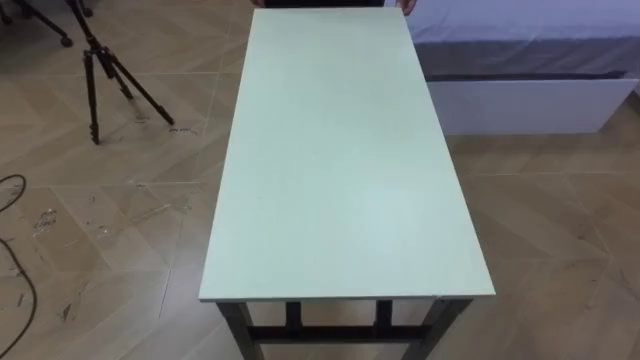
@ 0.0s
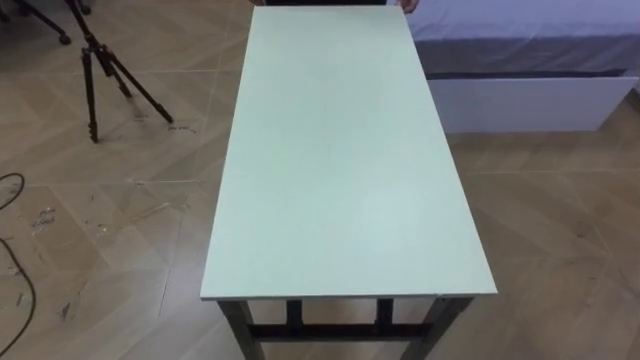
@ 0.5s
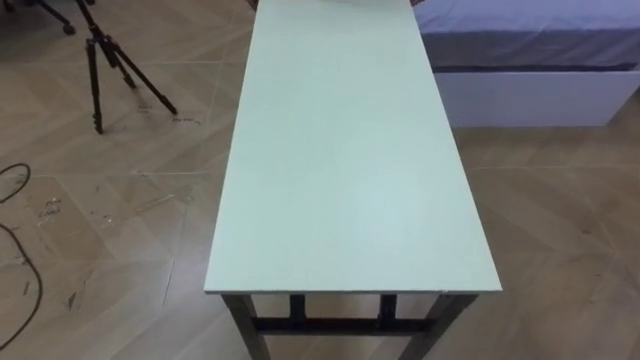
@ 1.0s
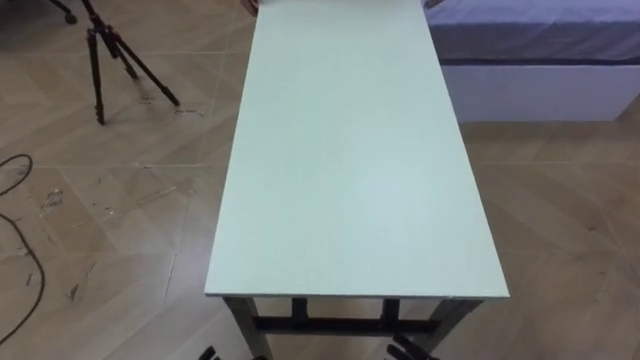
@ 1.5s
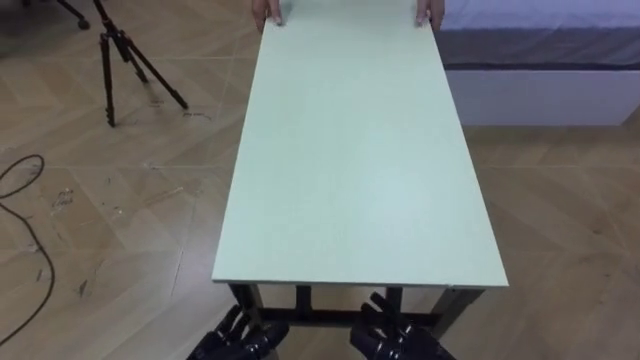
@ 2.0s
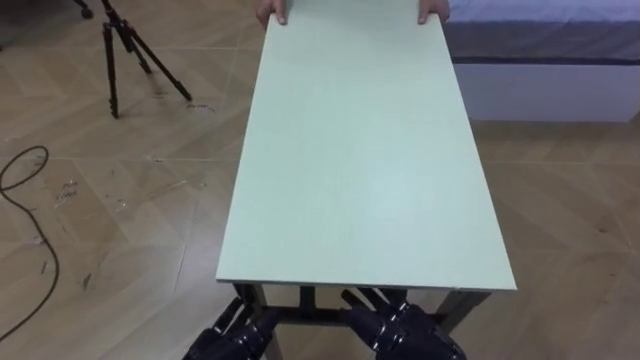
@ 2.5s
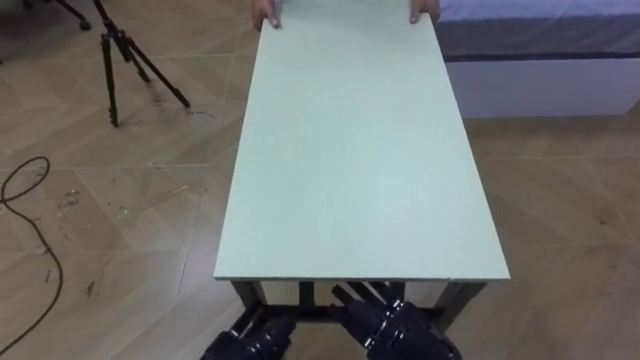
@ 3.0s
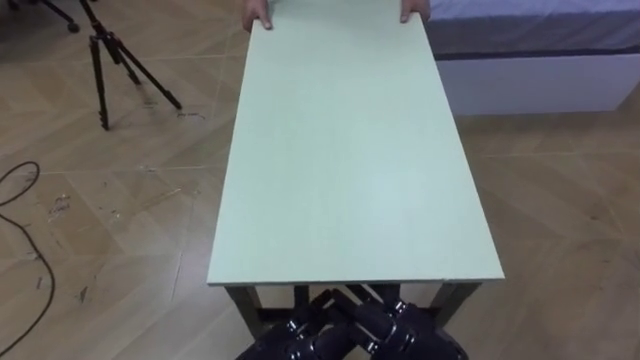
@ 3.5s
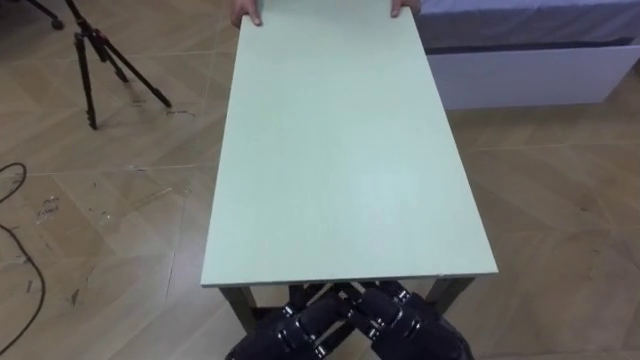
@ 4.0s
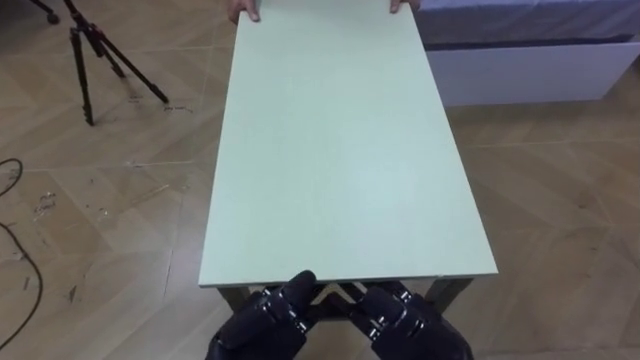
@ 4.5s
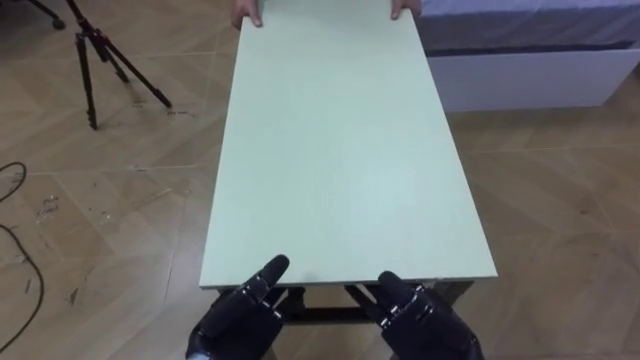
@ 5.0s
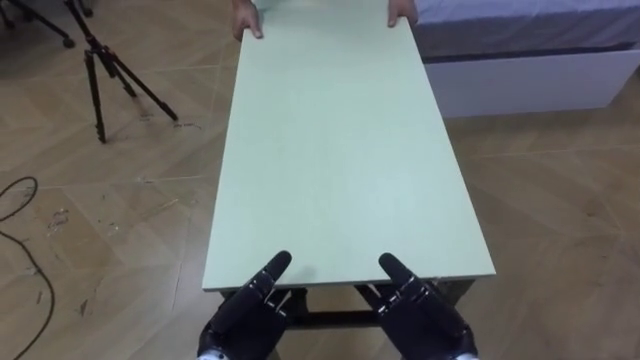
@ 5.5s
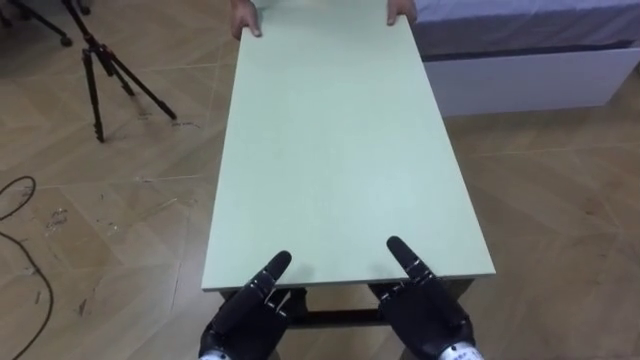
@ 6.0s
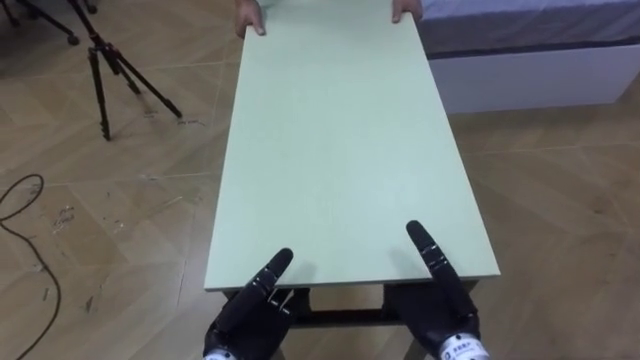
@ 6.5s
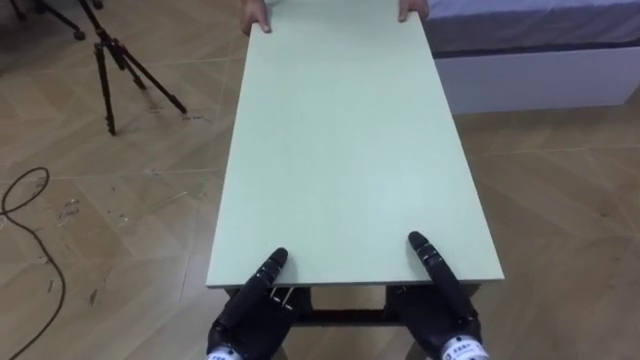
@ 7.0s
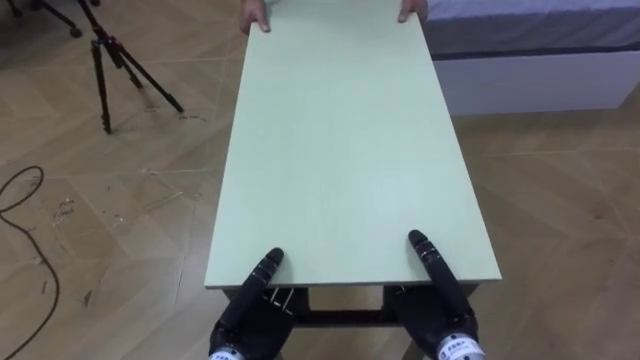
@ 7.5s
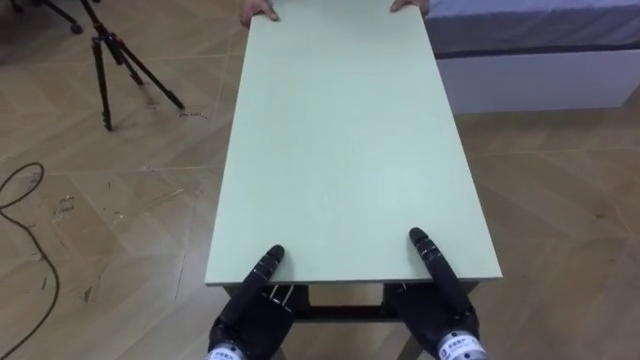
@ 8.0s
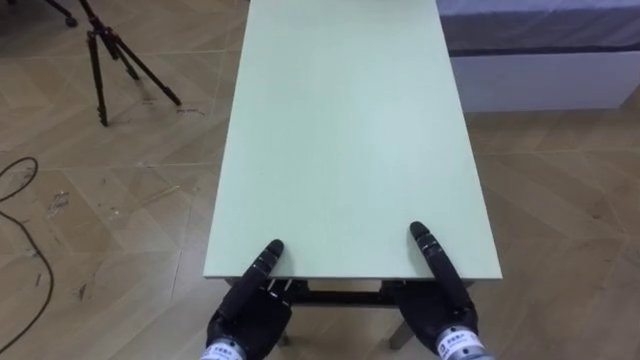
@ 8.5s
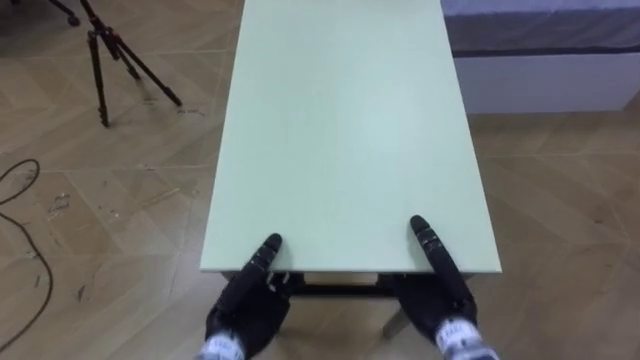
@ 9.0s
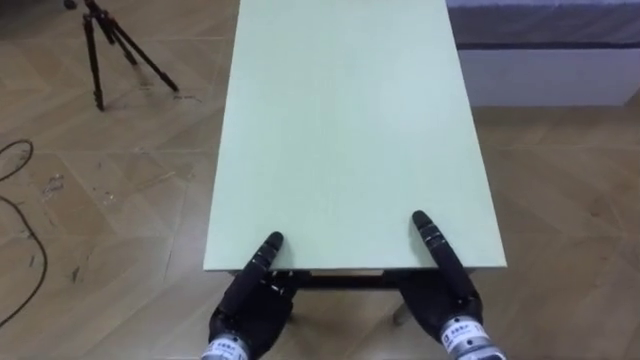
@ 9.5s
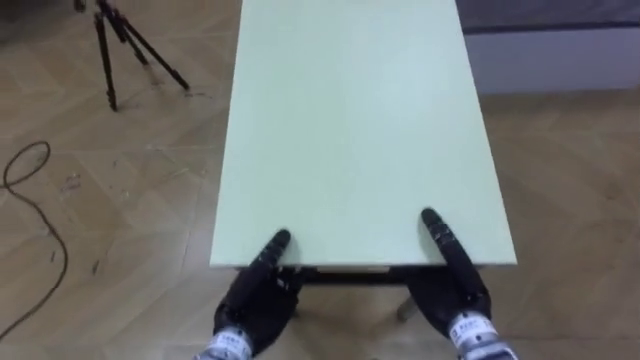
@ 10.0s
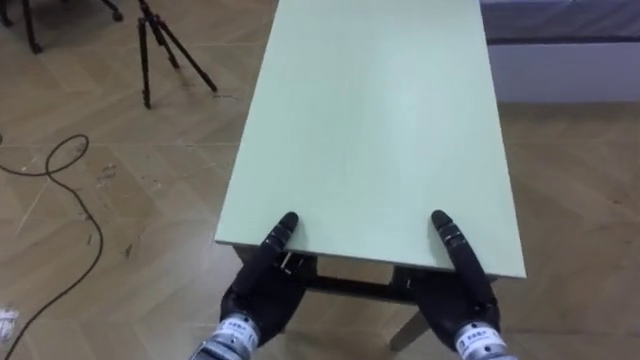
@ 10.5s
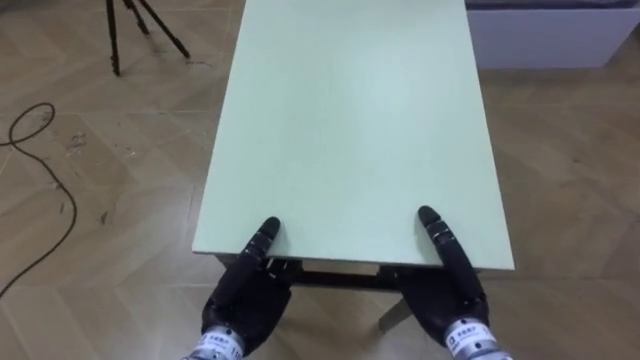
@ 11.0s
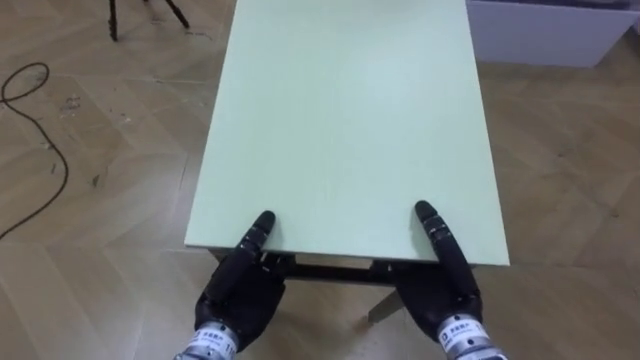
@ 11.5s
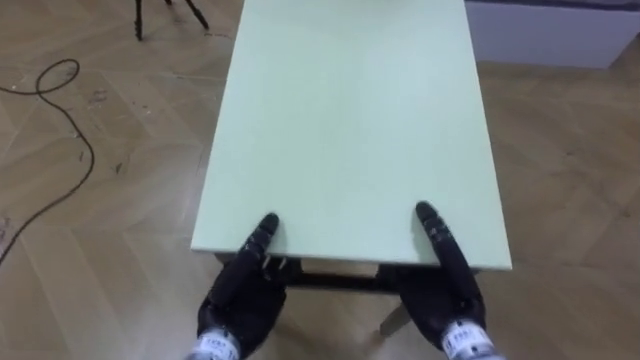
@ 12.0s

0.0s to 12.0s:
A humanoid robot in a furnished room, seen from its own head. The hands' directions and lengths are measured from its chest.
Task of the whole recording: Move the table to the back left with someone.
4.0s to 6.0s: The left hand ends up roughly 5 cm from where it was.
6.0s to 8.0s: The left hand closes up. The right hand closes its fingers.

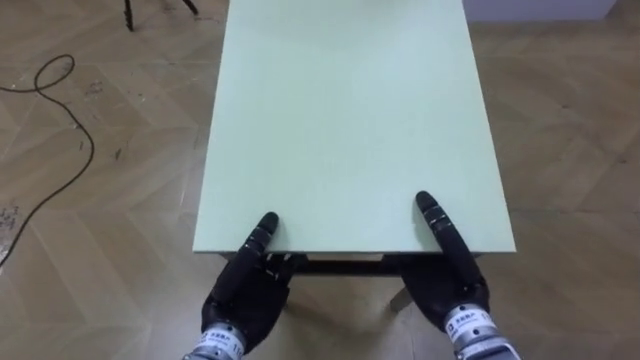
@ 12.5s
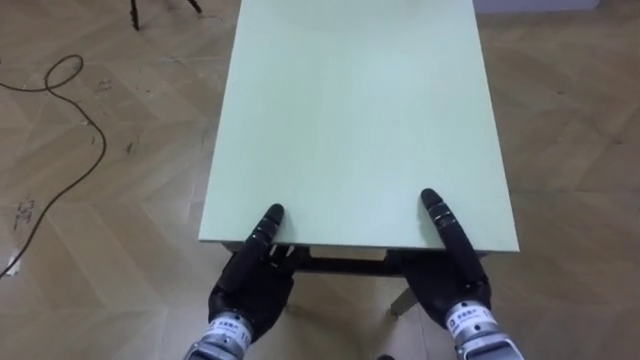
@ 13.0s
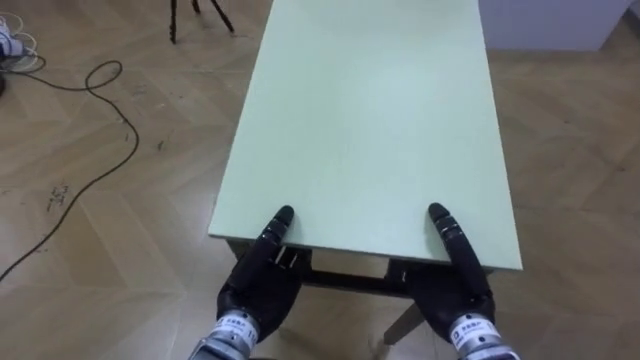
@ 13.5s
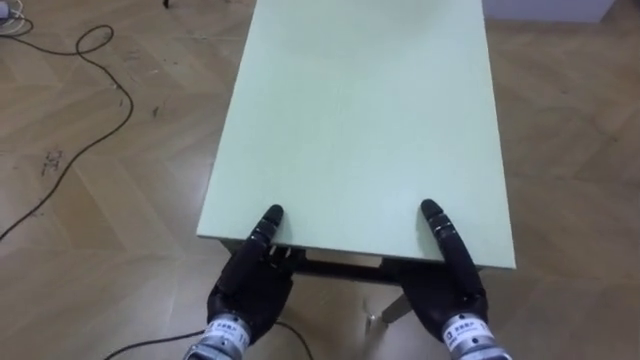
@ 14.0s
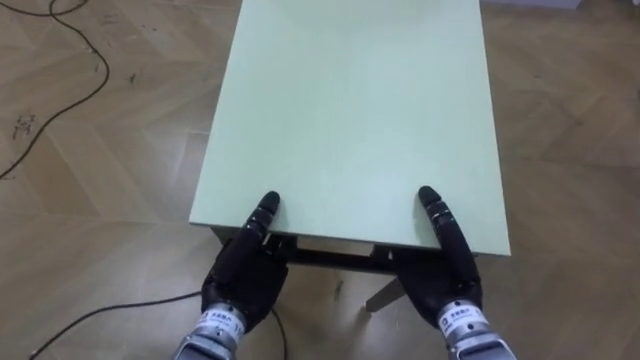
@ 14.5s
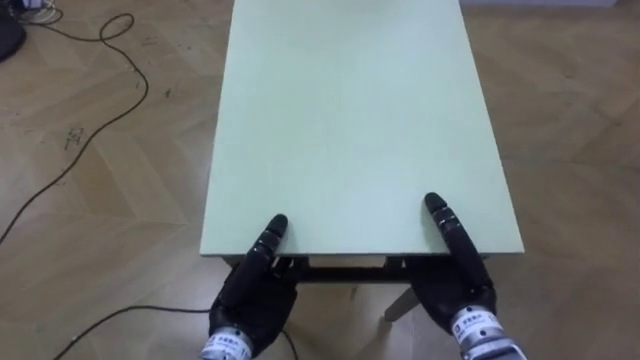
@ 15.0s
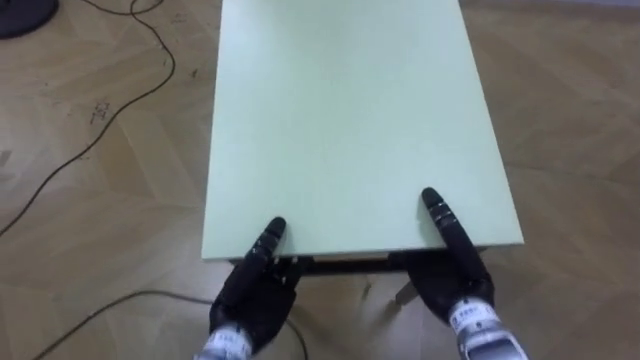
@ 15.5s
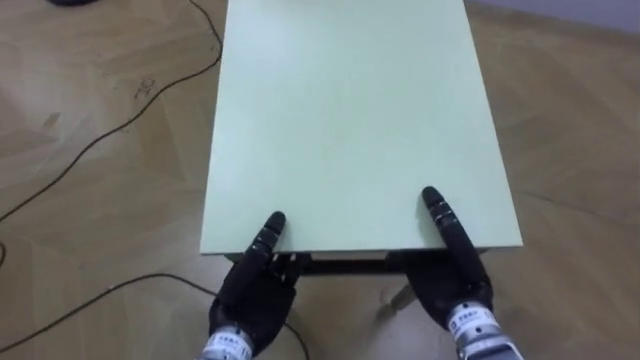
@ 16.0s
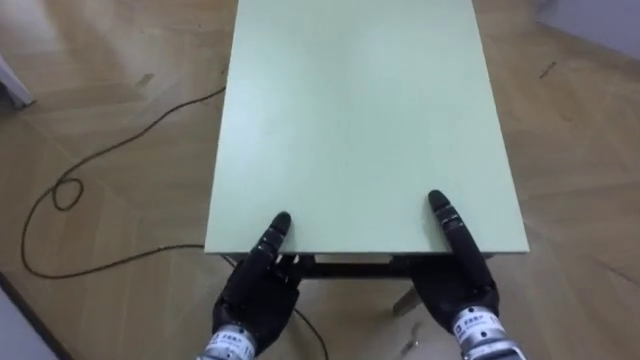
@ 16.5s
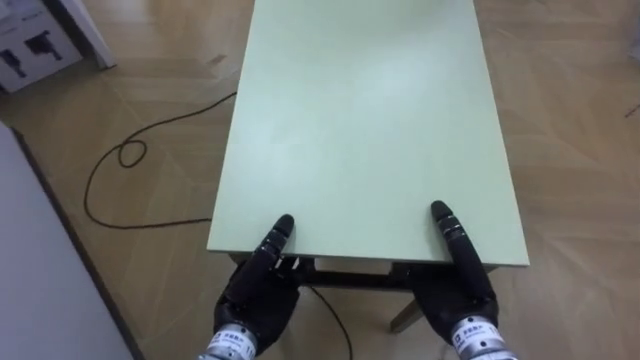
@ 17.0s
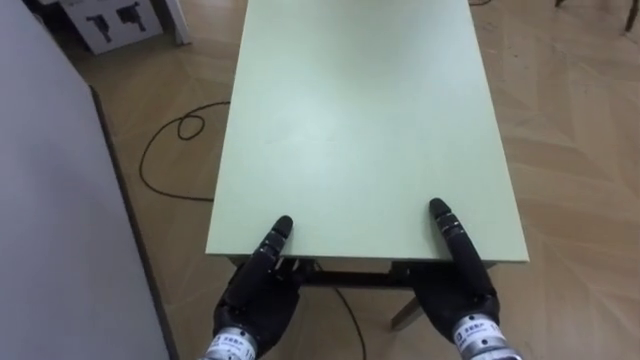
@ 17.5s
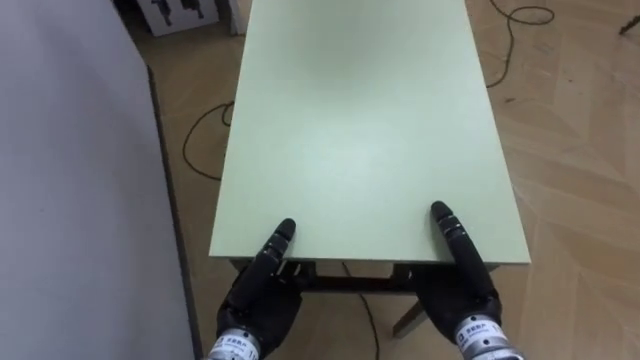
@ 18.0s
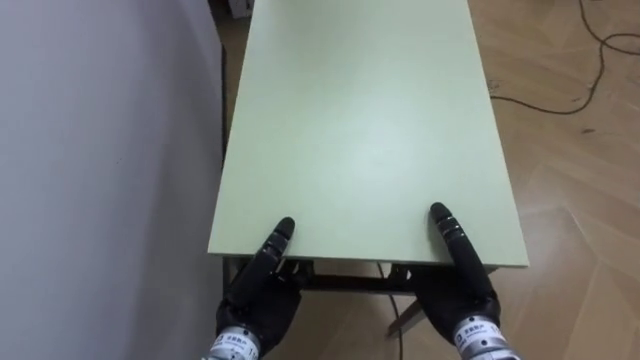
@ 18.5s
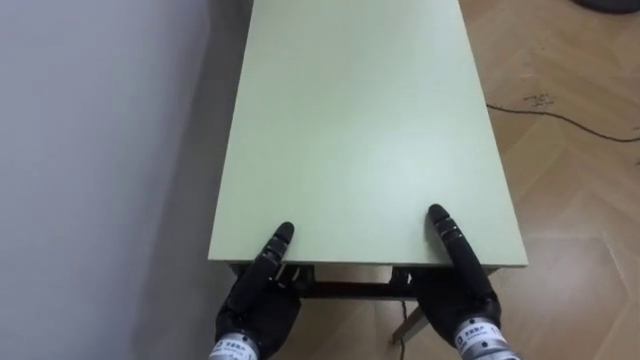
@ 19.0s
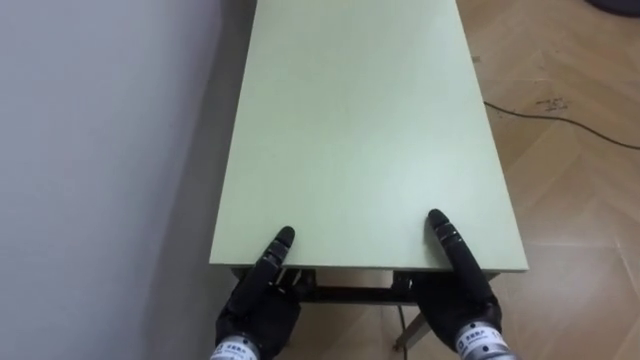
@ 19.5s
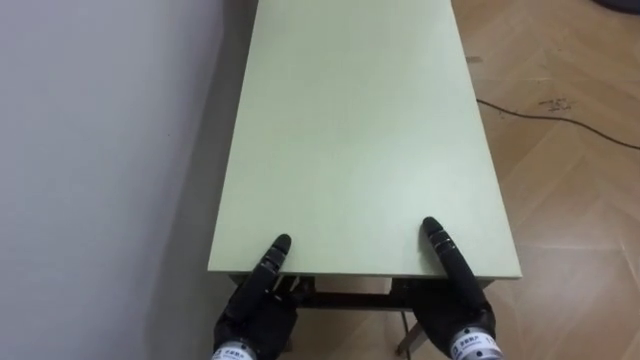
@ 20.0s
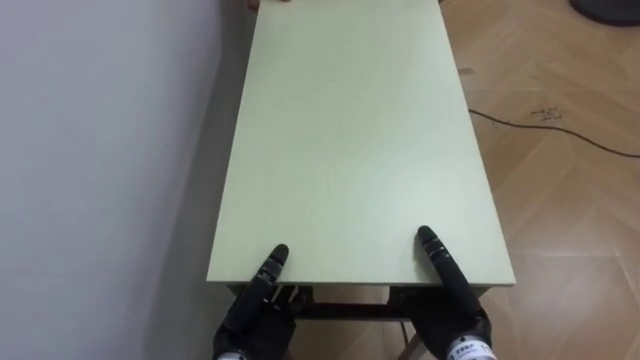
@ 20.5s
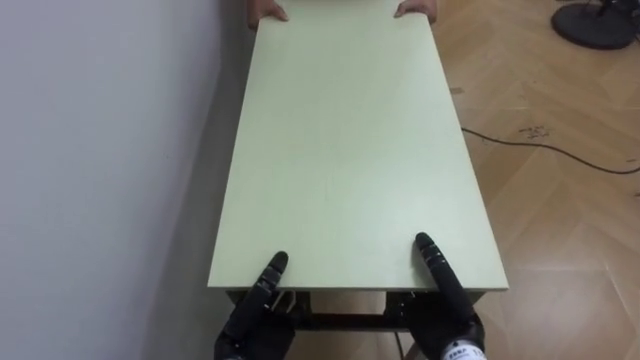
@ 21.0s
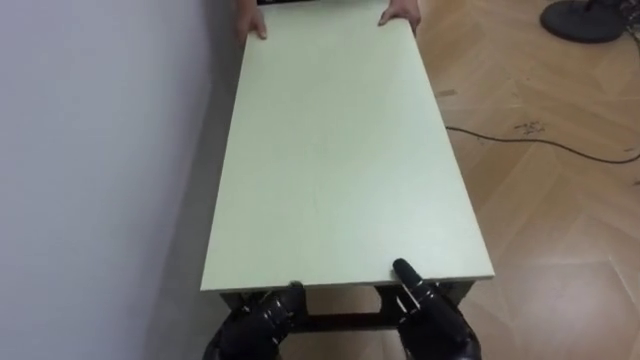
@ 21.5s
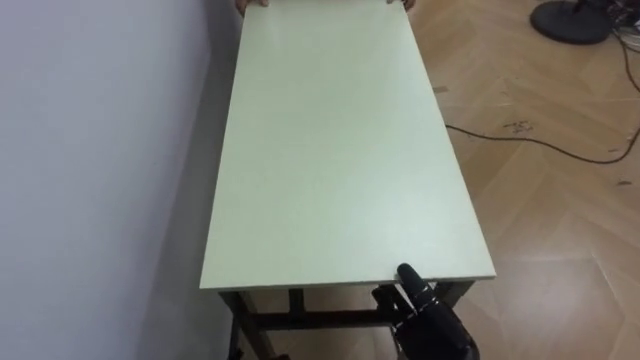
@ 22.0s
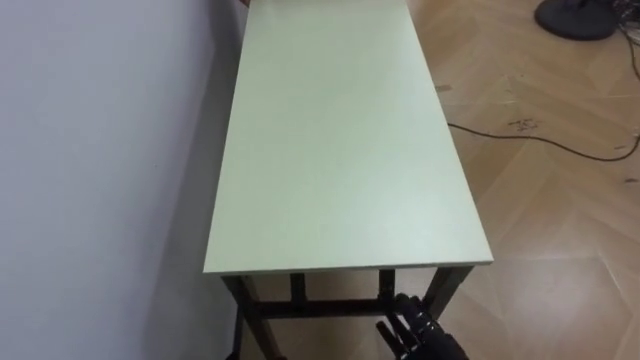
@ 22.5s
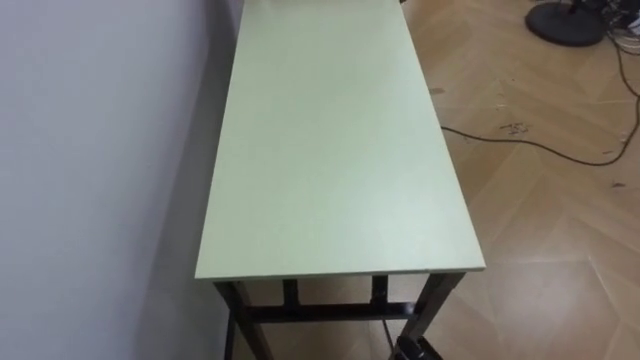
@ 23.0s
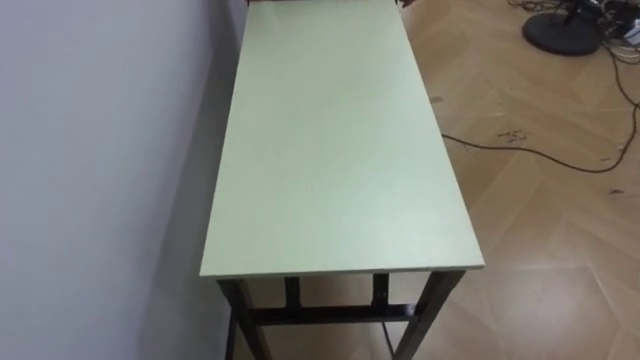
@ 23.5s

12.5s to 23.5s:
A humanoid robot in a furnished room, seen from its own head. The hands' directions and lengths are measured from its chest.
Task of the whole recording: Move the table to the back left with someone.
14.5s to 16.0s: The robot's body swings approximately 20 degrees to its left.
16.0s to 18.0s: The robot faces approximately 50 degrees further to its left.
18.0s to 20.0s: The robot rotates roughly 25 degrees to its left.
20.0s to 21.5s: Both hands travel together downward, approximately 5 cm. The right hand opens its fingers.
